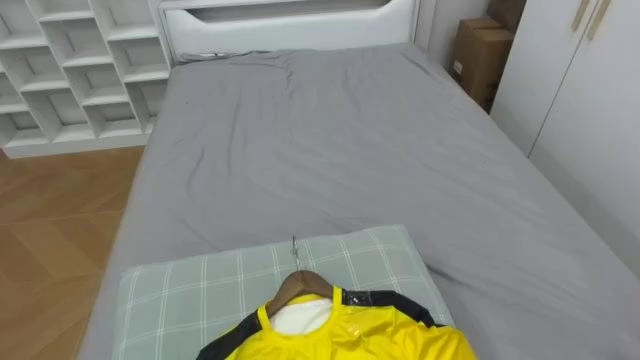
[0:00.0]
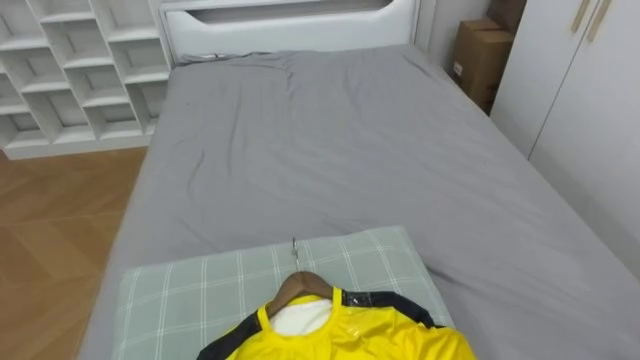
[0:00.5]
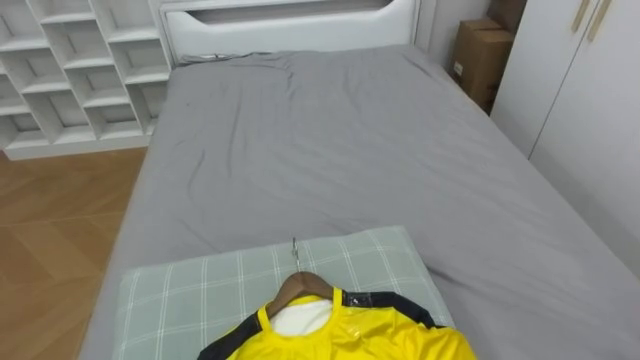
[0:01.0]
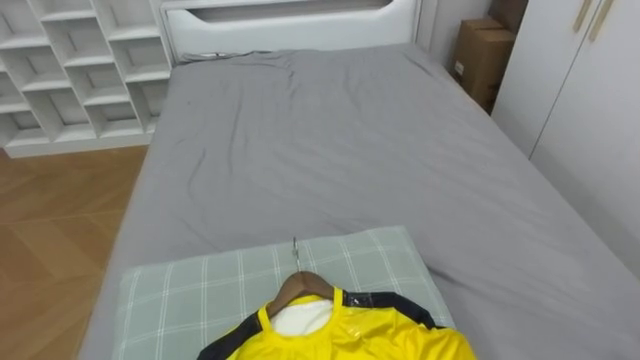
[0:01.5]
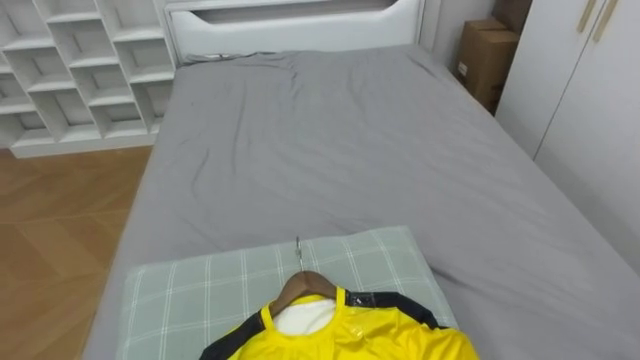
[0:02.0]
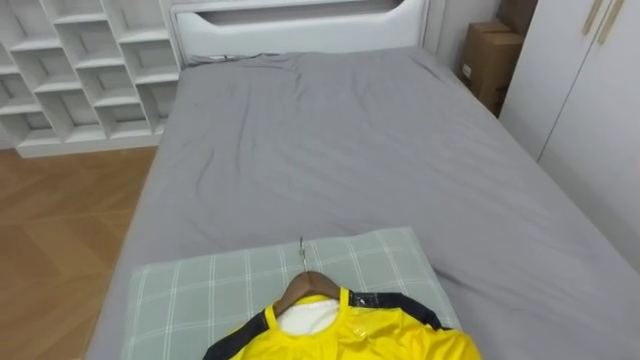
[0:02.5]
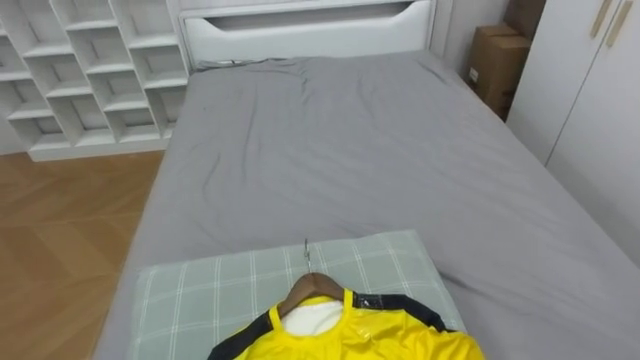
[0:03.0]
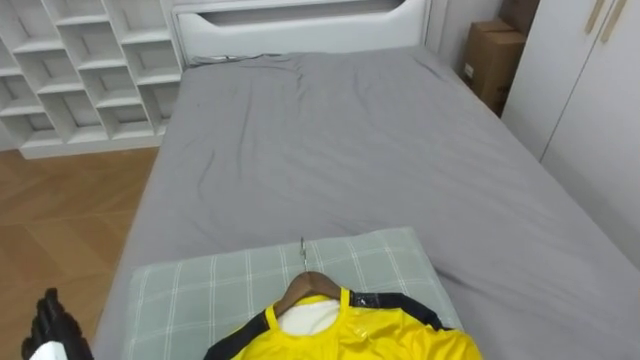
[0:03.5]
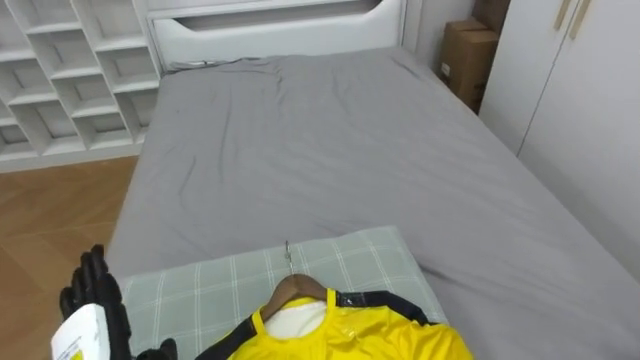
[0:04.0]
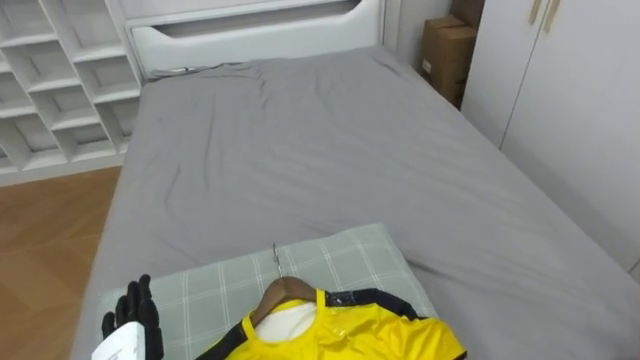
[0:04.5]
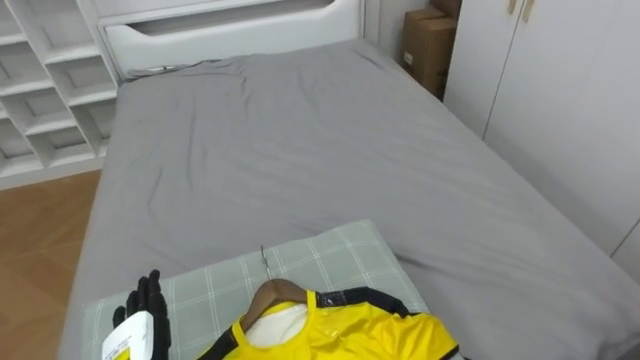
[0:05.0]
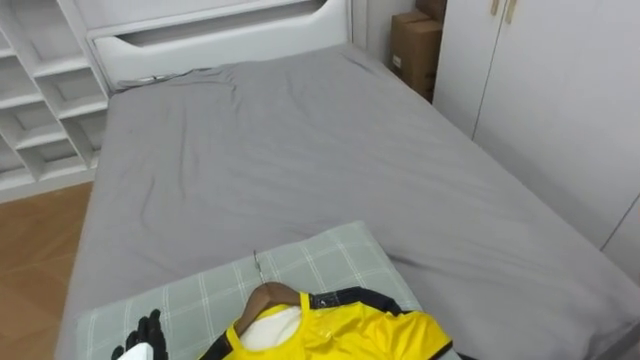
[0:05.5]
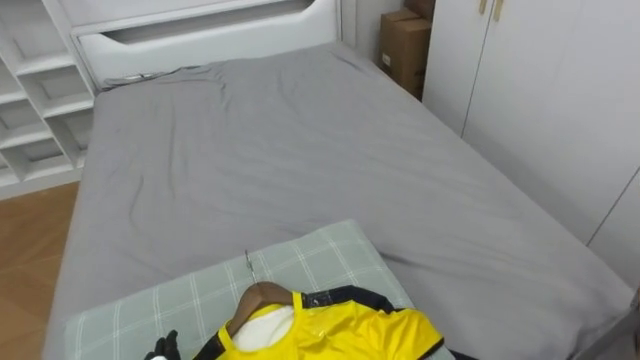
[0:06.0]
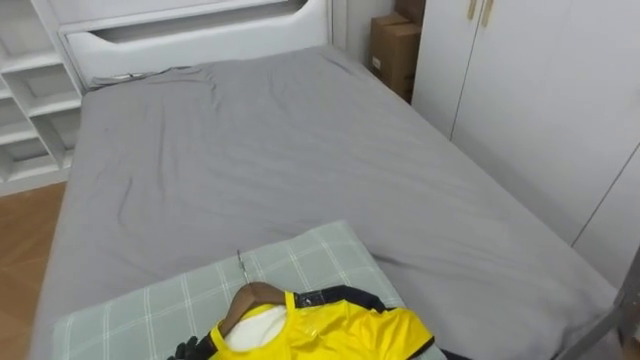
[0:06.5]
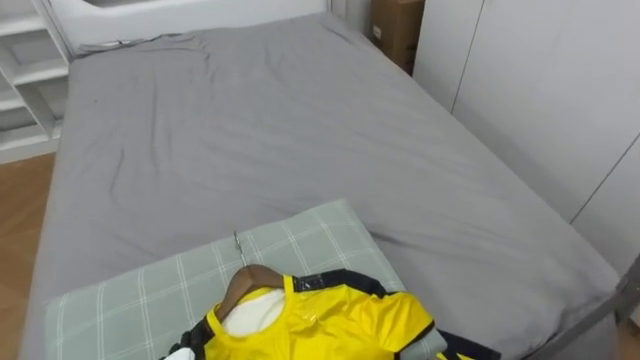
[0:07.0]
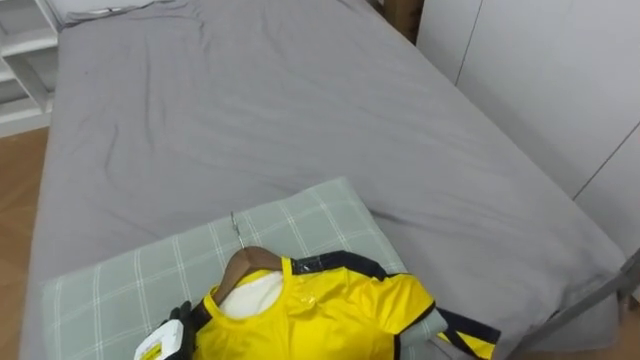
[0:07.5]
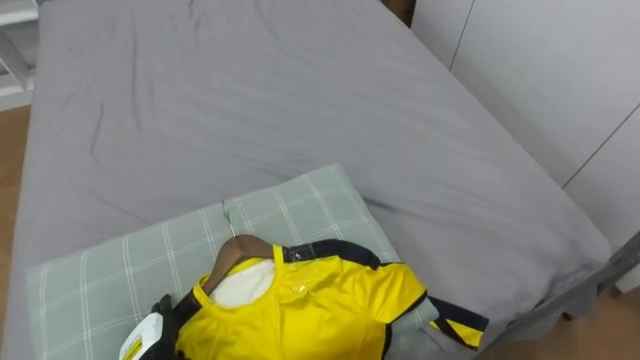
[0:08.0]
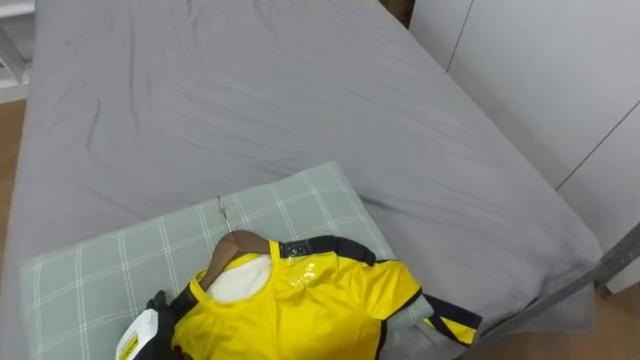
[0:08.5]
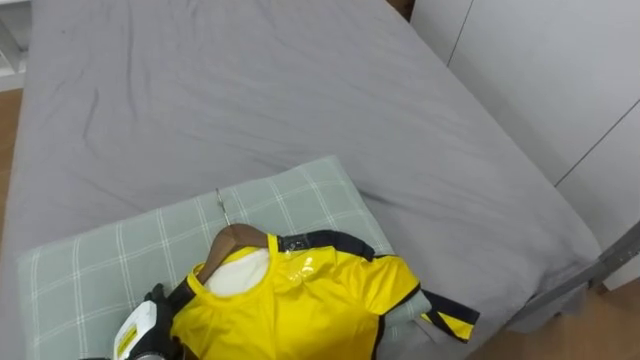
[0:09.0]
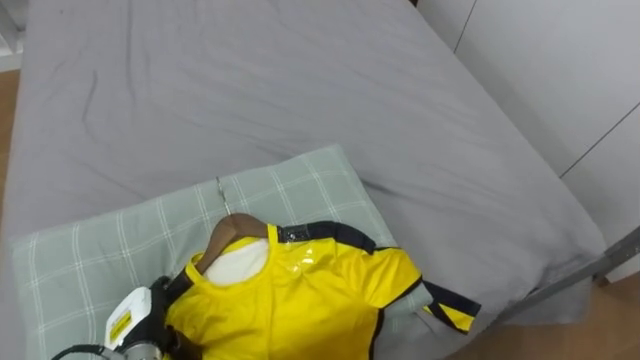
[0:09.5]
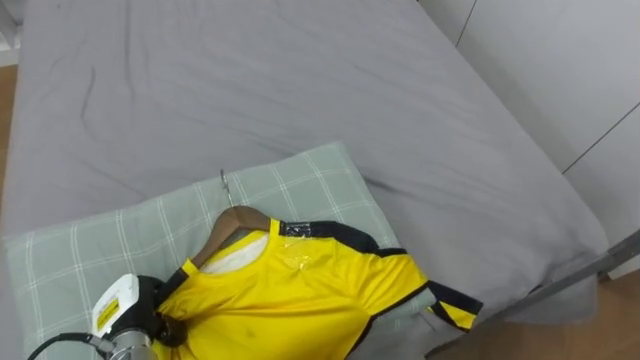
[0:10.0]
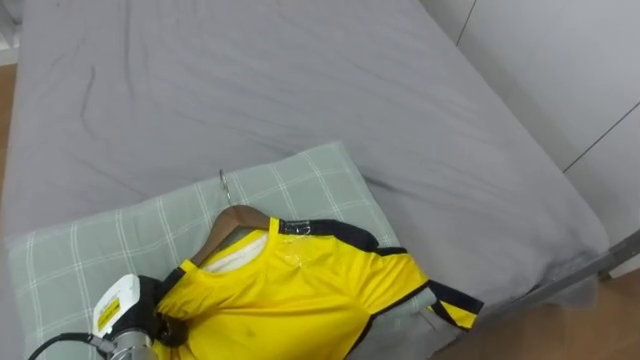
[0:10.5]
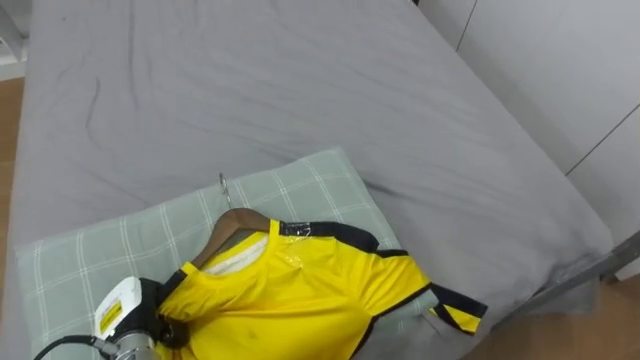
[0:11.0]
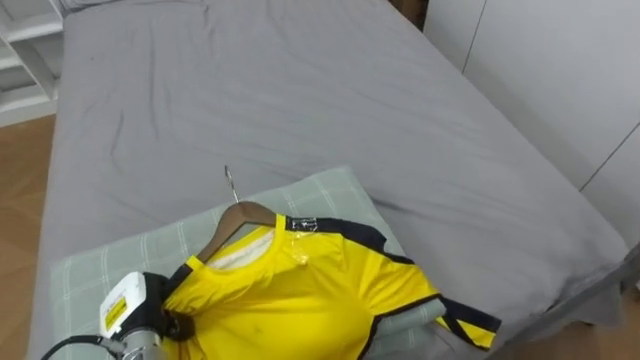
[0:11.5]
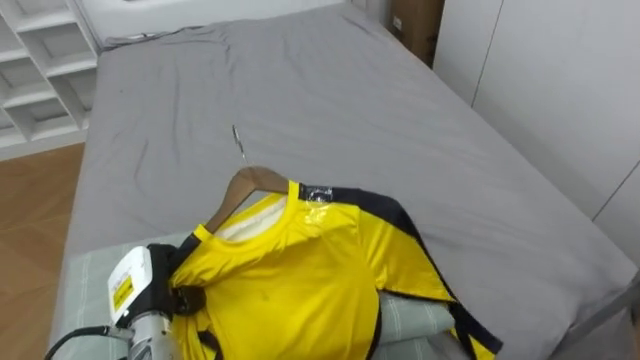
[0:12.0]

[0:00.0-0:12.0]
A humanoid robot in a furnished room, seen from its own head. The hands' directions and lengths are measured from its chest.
Task of the whole recording: Pick up the yellow shirt on the bed and hang it on the clothes rack on the right.
0:08.0 to 0:10.0: The left hand ends up roughly 5 cm from where it was, and closes its fingers.

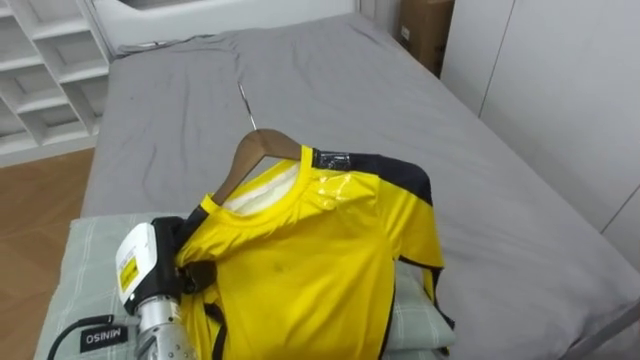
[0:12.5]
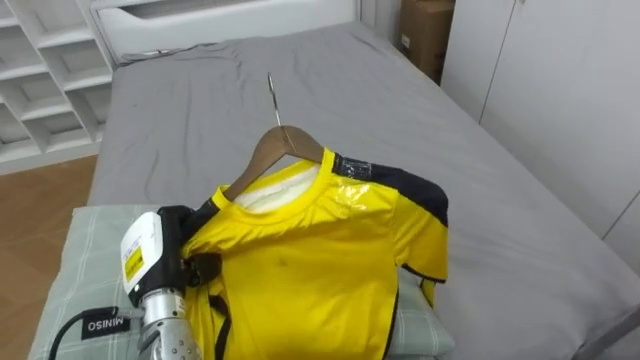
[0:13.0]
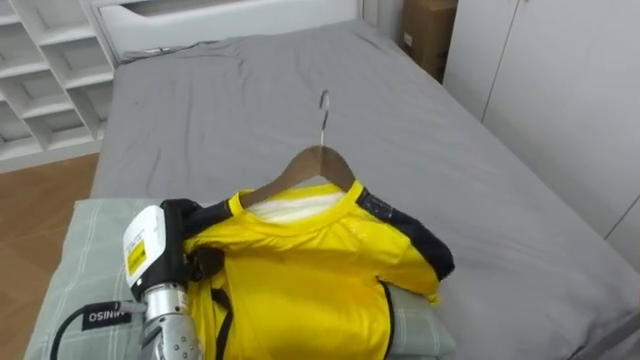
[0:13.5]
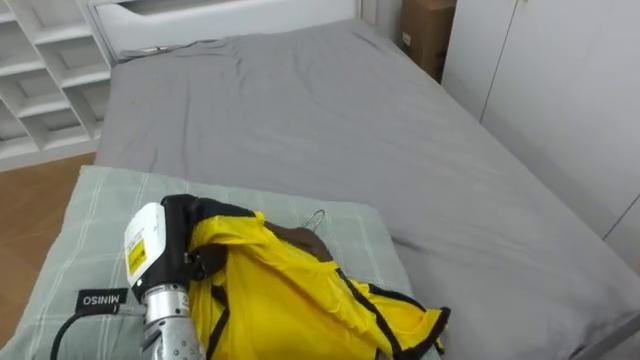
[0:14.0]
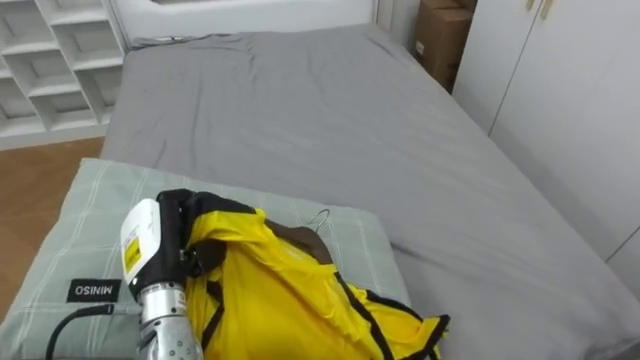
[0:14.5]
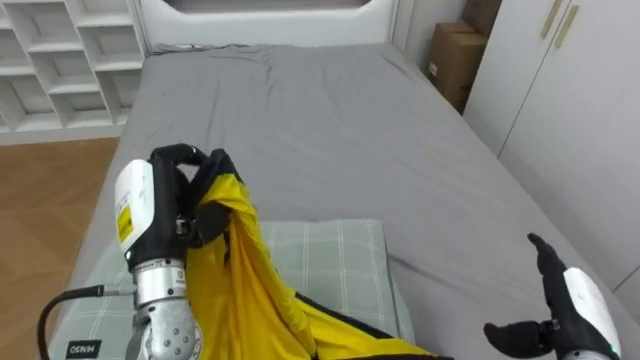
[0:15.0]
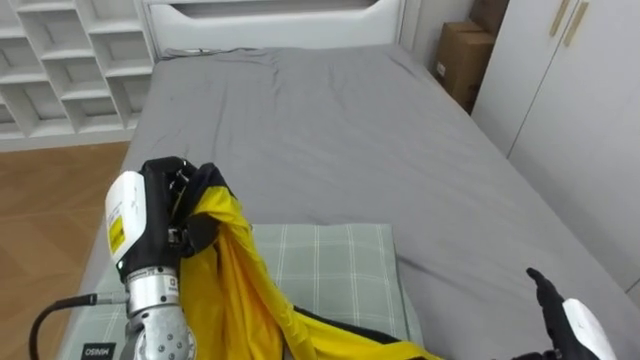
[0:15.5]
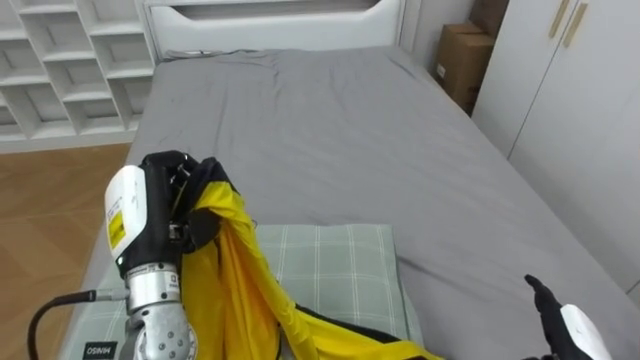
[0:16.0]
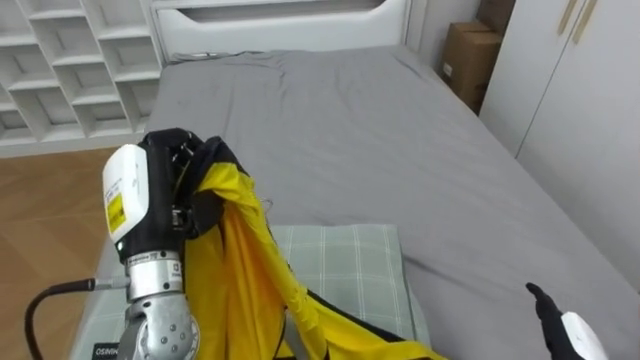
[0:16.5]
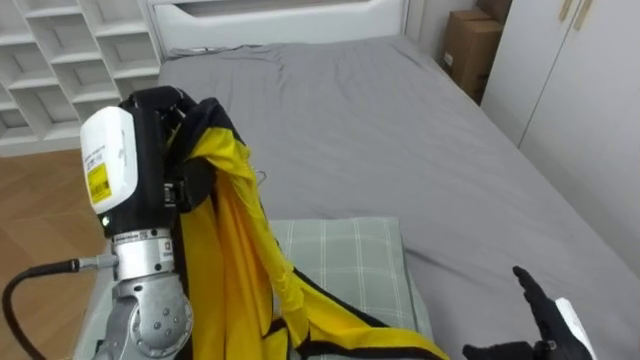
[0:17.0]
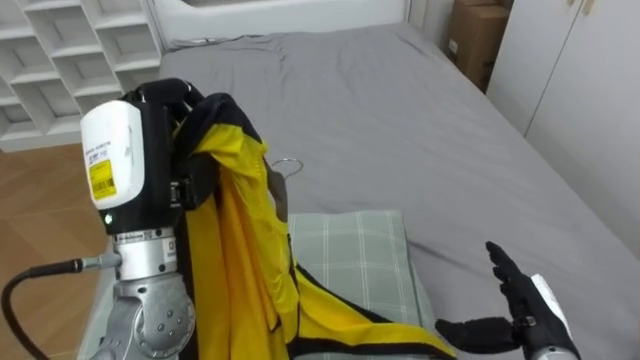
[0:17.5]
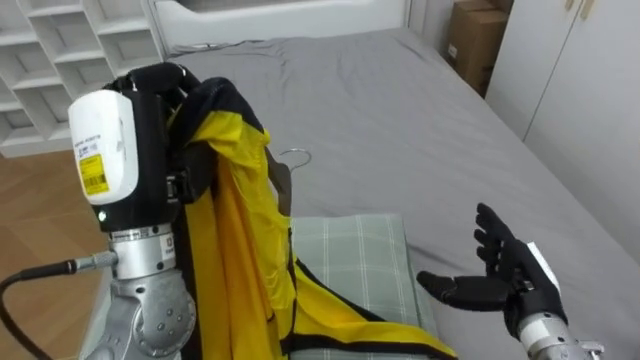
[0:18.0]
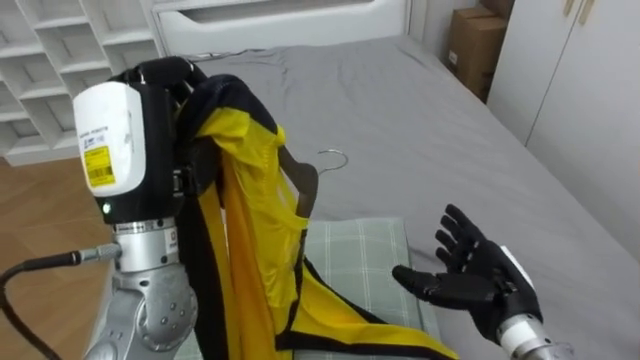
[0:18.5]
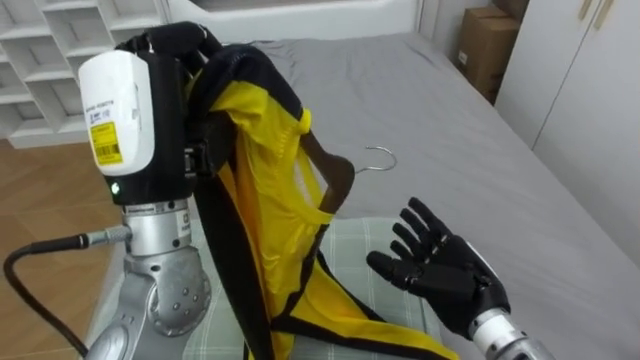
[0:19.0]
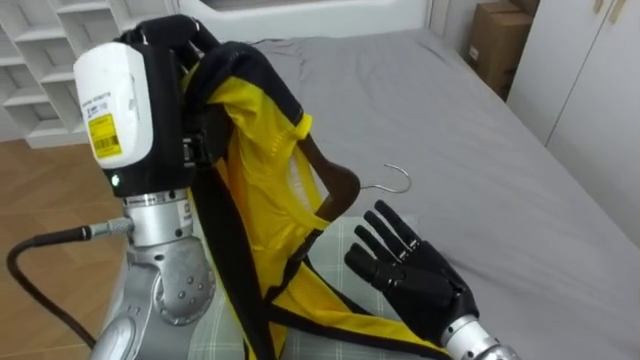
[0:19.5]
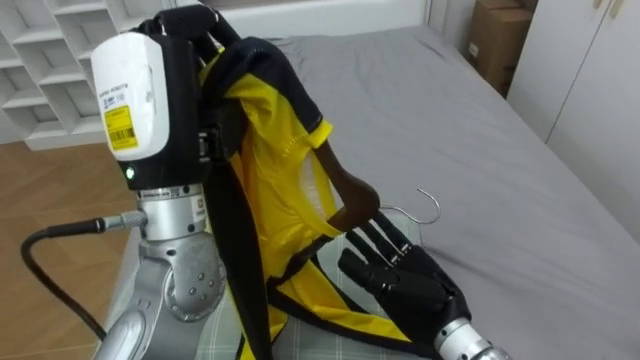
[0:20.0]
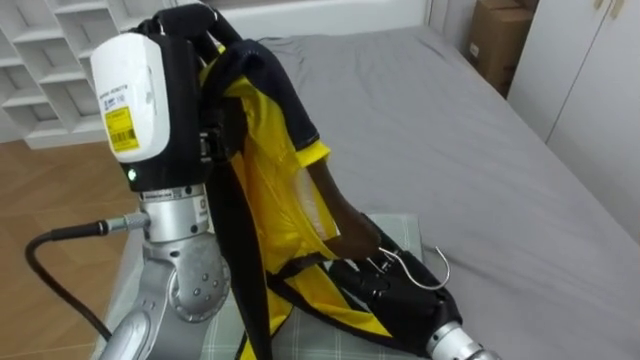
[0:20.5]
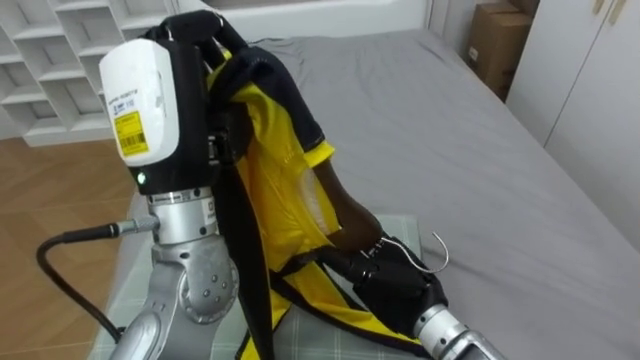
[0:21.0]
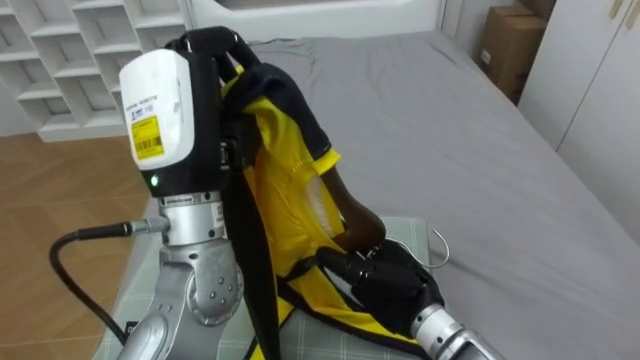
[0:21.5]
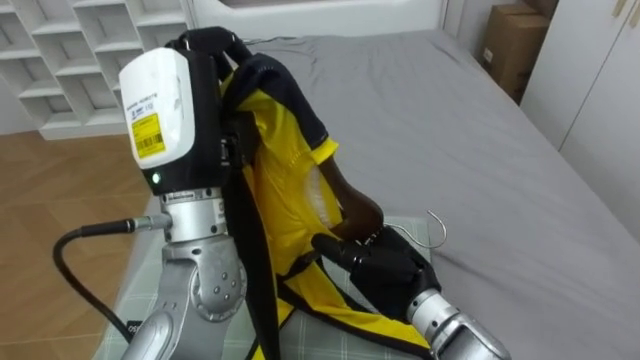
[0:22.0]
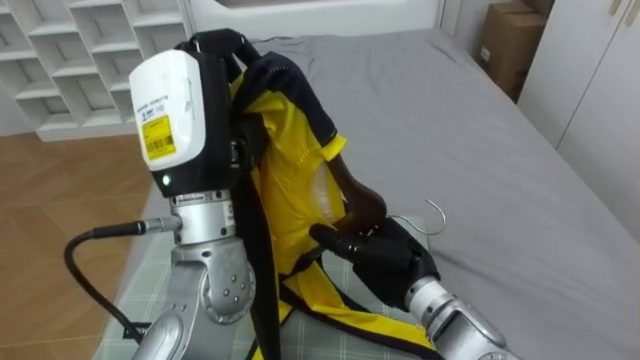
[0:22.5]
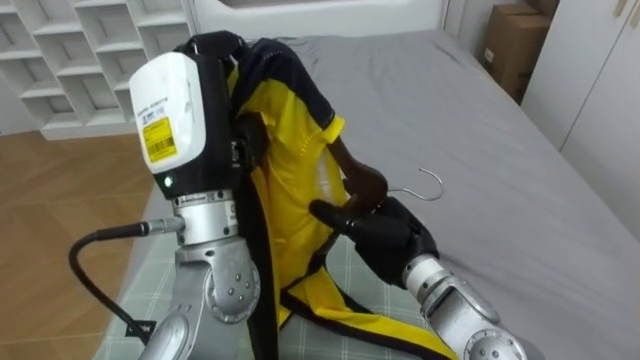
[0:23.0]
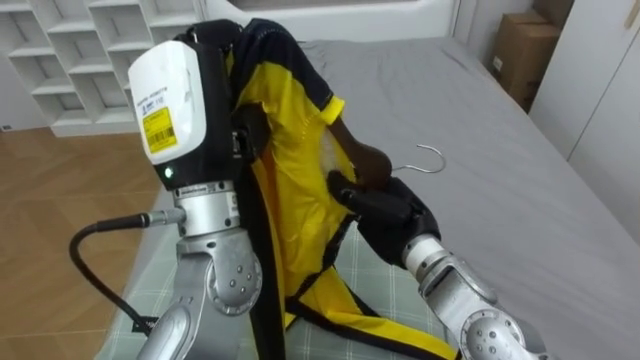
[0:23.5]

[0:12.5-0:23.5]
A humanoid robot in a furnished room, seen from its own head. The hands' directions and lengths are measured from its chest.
Task of the whole recording: Pick up the yellow shirt on the bed and hang it on the clothes rack on the right.
0:14.5 to 0:16.0: The left hand is displaced upward by about 5 cm.
0:16.0 to 0:18.0: The left hand moves upward, approximately 10 cm.
0:18.0 to 0:20.0: The right hand goes about 15 cm to the left, while the left hand changes place by approximately 5 cm.
0:21.5 to 0:23.5: The right hand travels forward and upward by some 10 cm, and closes its fingers.
